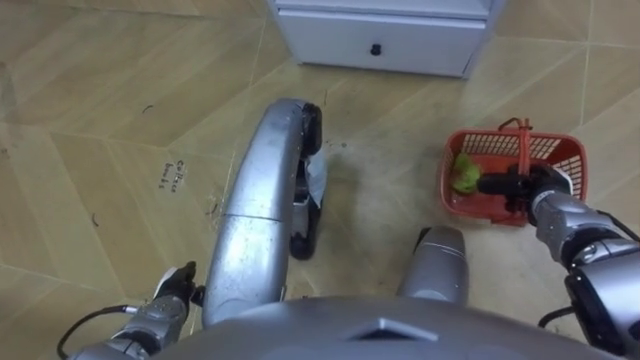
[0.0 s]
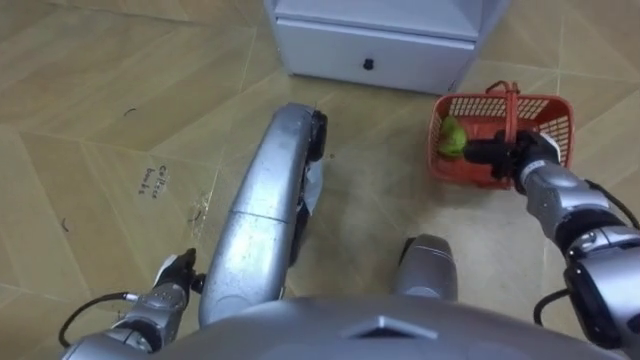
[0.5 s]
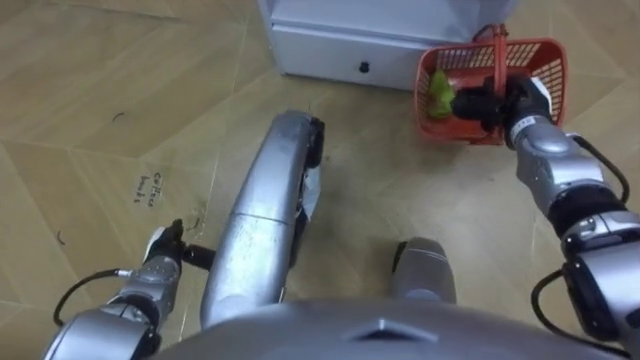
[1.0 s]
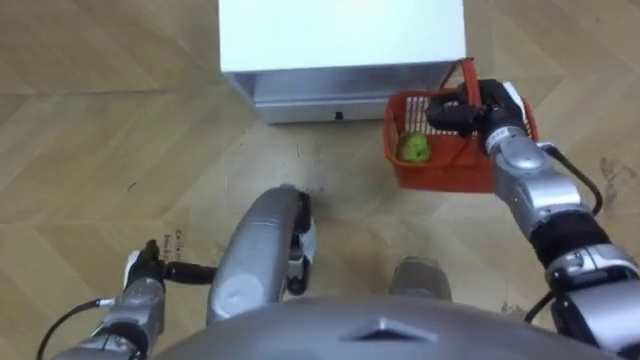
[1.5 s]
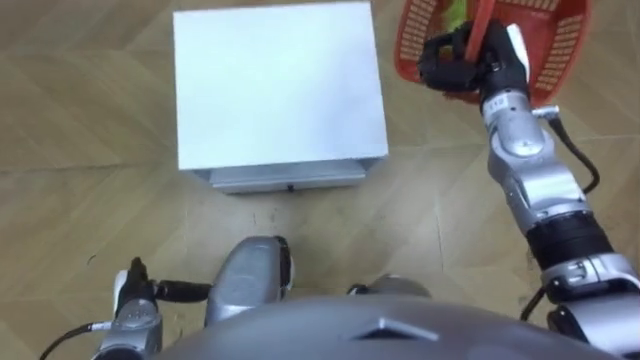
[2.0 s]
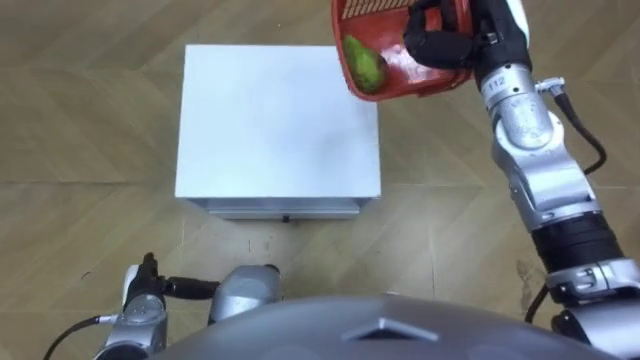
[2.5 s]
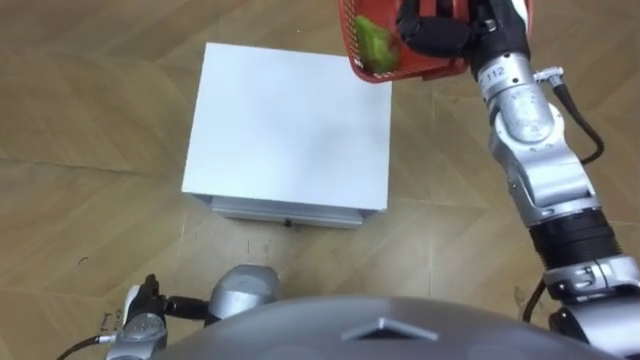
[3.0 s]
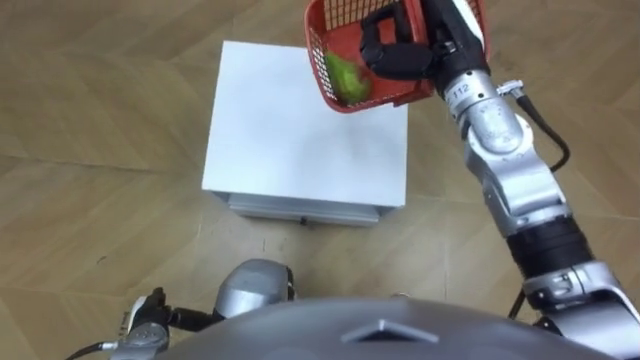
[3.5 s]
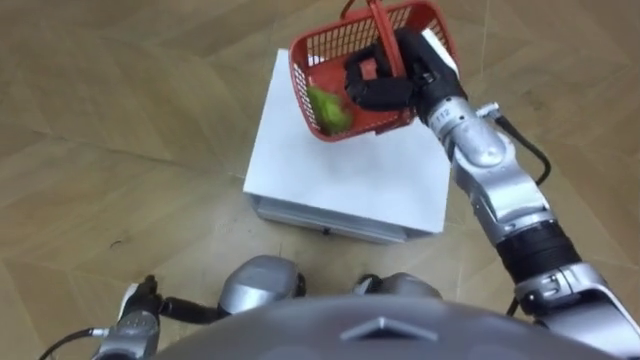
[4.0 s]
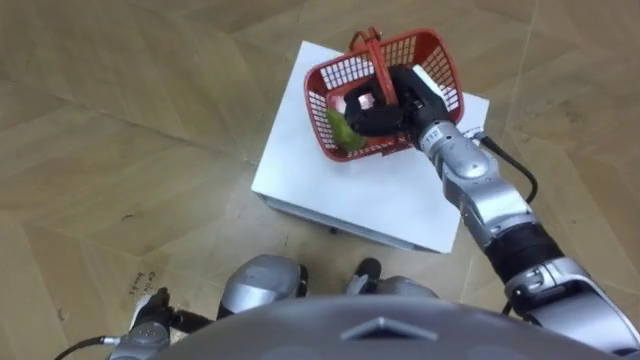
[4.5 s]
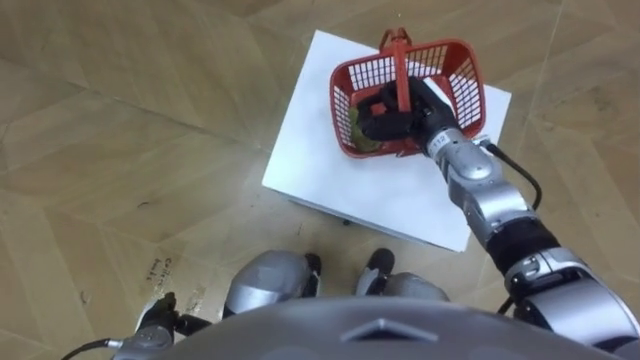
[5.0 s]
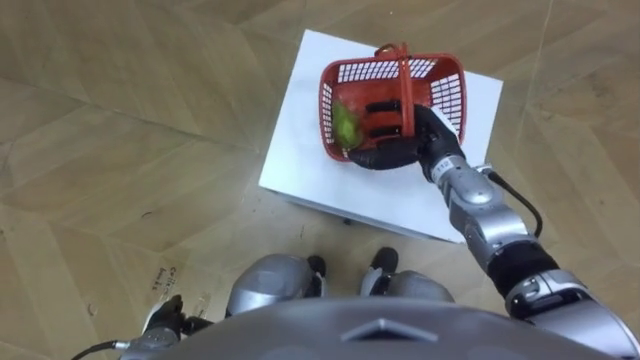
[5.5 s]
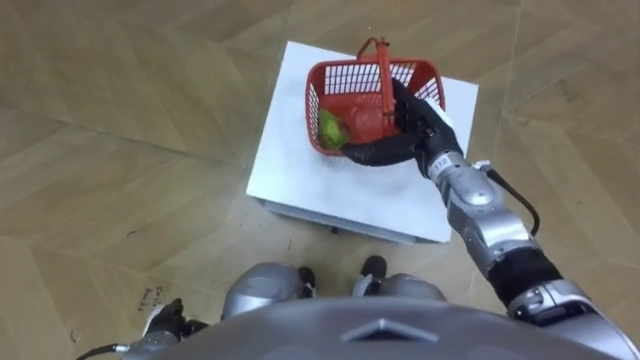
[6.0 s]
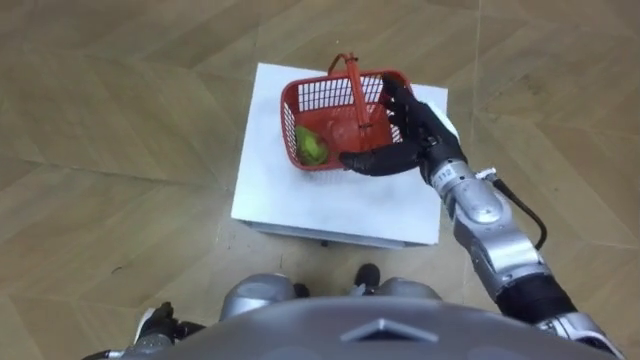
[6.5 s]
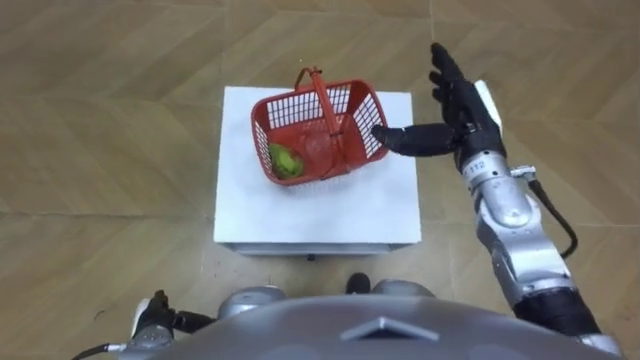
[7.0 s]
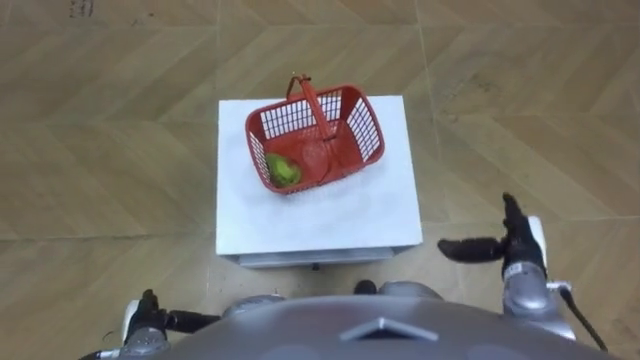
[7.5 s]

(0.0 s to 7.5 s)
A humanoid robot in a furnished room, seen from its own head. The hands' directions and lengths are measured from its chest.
Task of the whole recording: Pick up the fruit basket from the floor and place it on the cabinet.
0.0 s - 2.0 s: The robot's body swings approximately 15 degrees to its right. The right hand shifts about 20 cm upward, forward and to the left. The left hand goes approximately 5 cm to the left.
2.0 s - 4.0 s: The right hand shifts about 10 cm to the left.
4.0 s - 5.5 s: The right hand goes approximately 10 cm downward, and opens.
5.5 s - 7.5 s: The right hand shifts some 20 cm backward, to the right and downward.

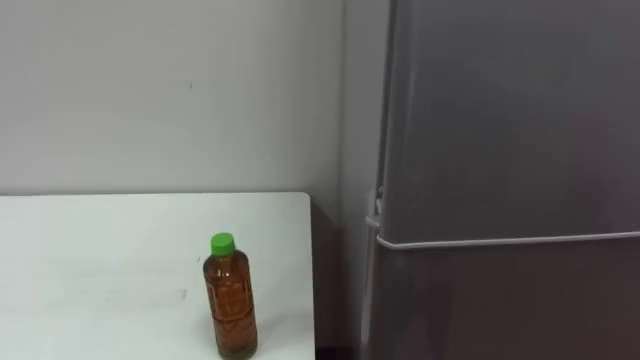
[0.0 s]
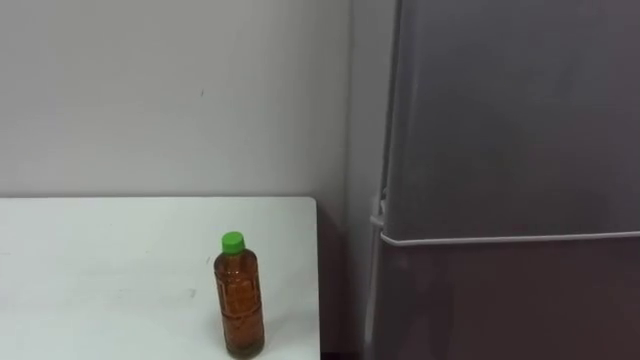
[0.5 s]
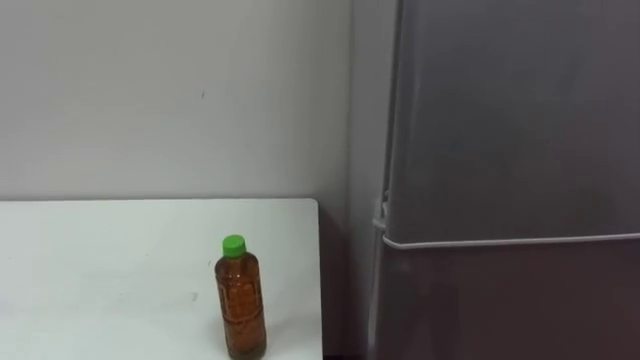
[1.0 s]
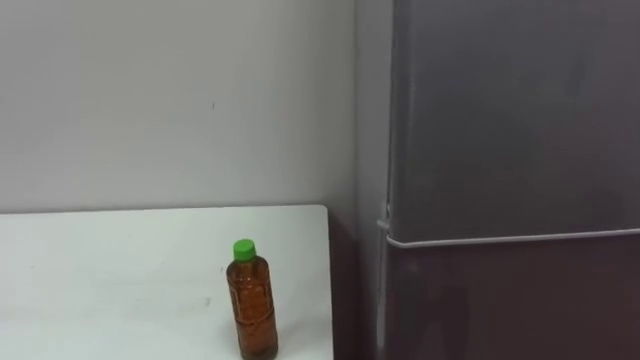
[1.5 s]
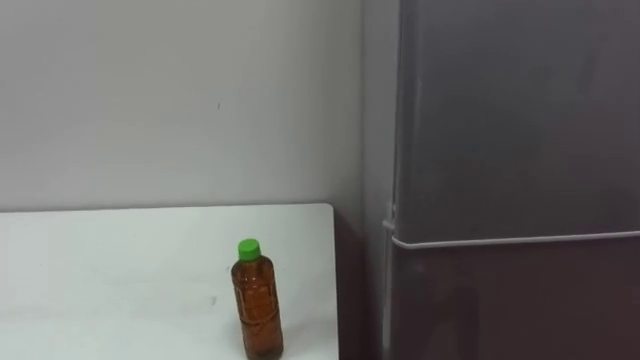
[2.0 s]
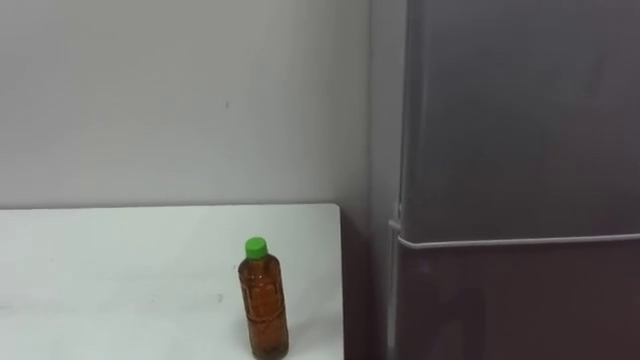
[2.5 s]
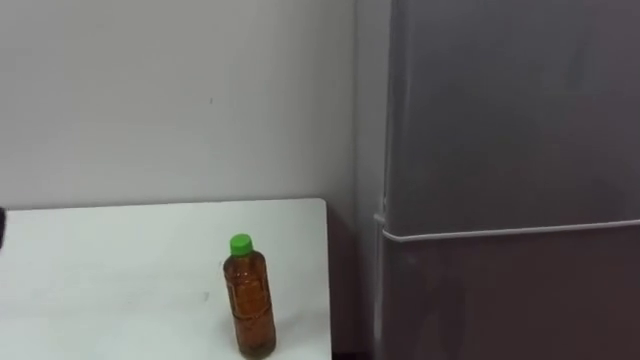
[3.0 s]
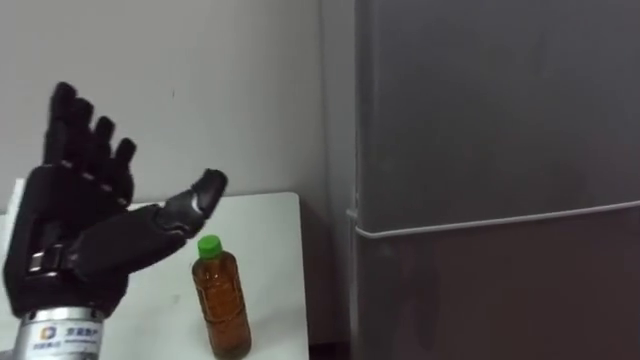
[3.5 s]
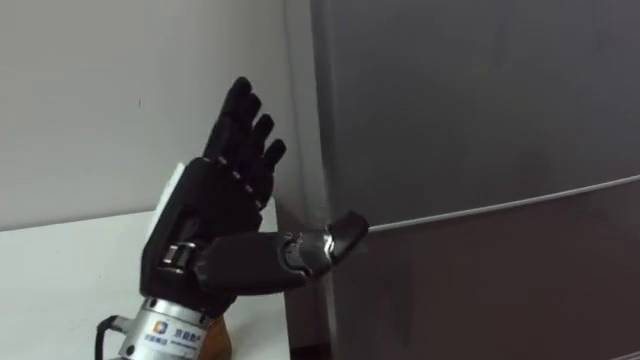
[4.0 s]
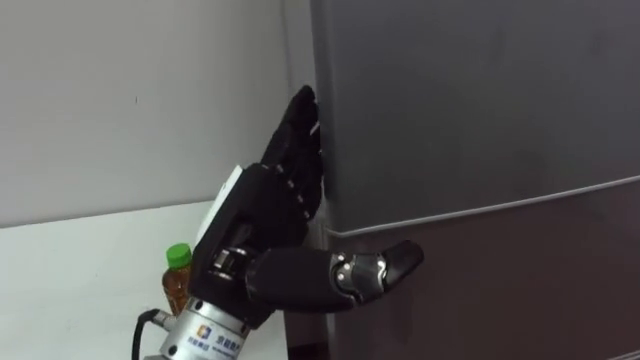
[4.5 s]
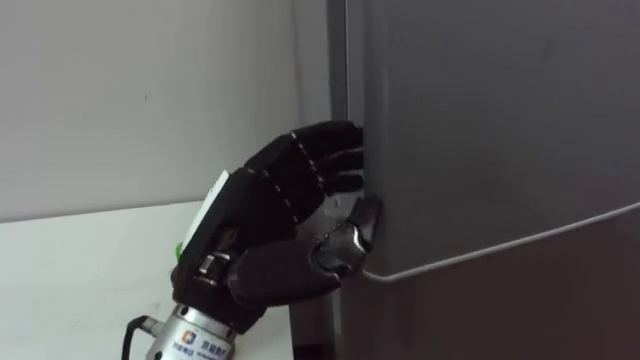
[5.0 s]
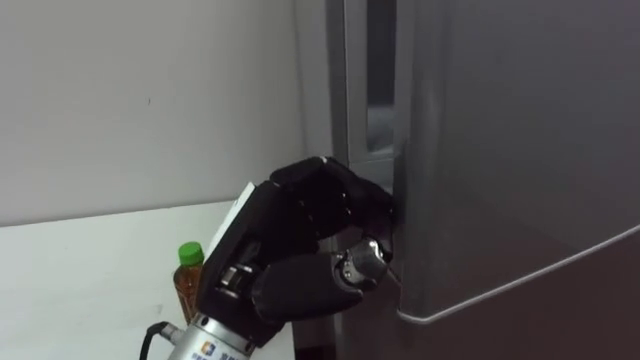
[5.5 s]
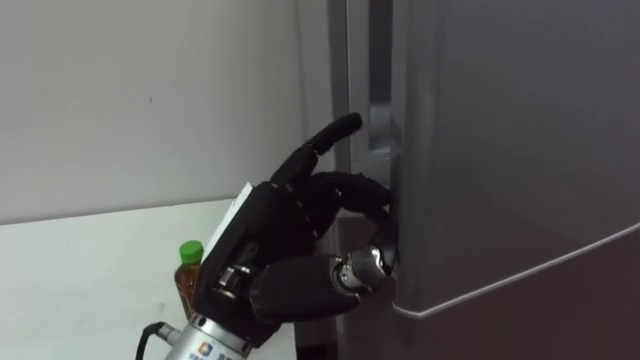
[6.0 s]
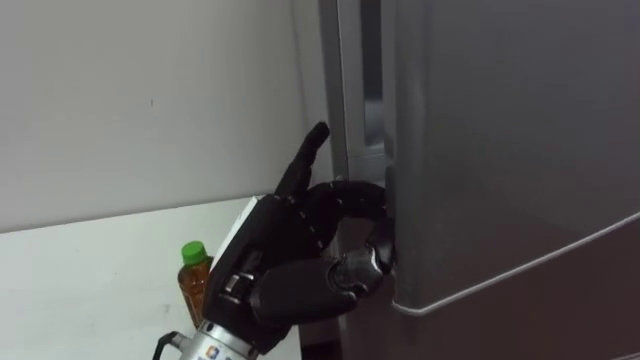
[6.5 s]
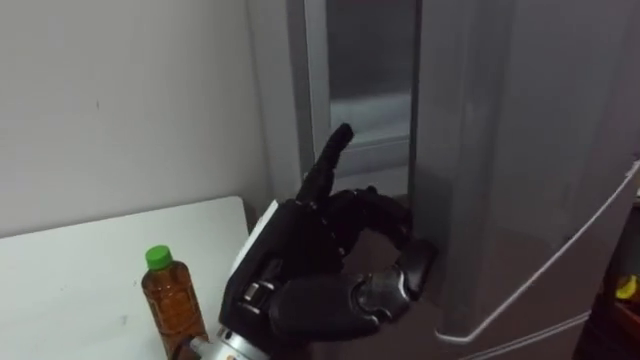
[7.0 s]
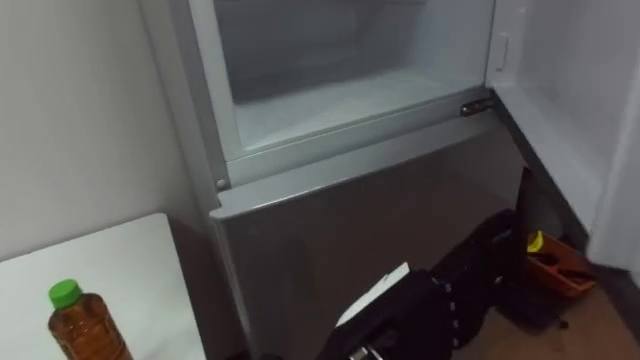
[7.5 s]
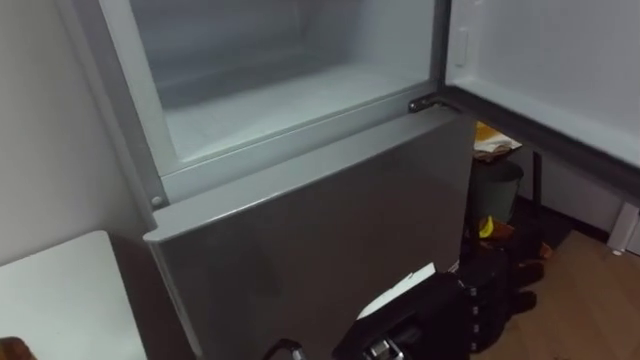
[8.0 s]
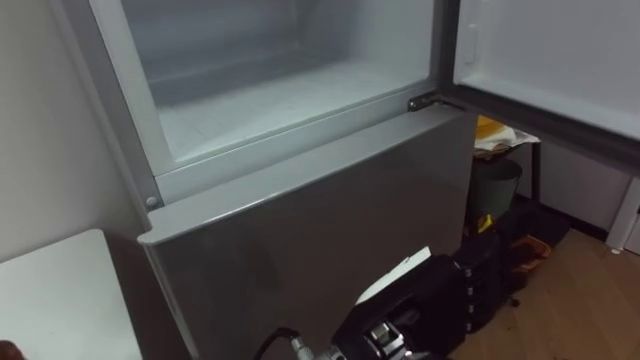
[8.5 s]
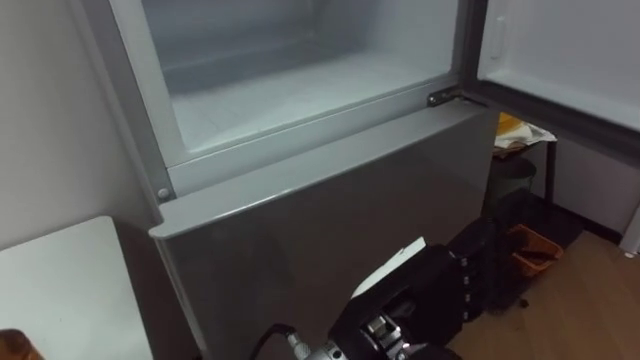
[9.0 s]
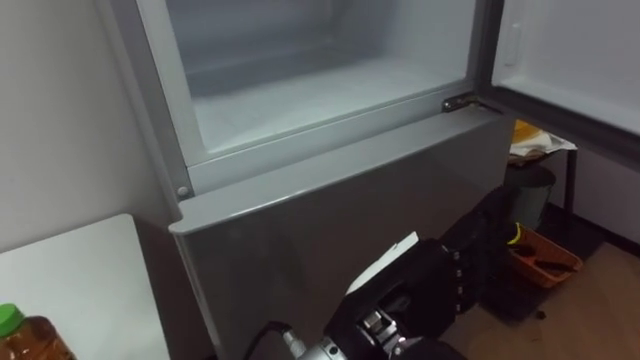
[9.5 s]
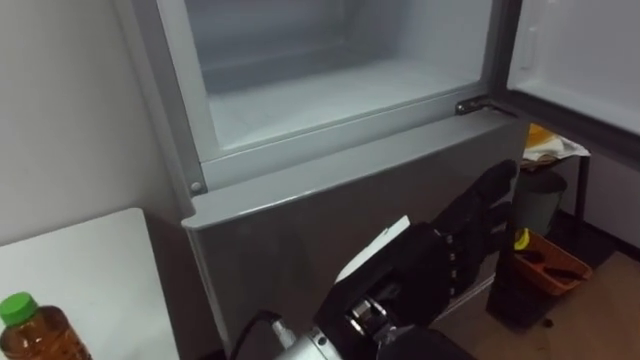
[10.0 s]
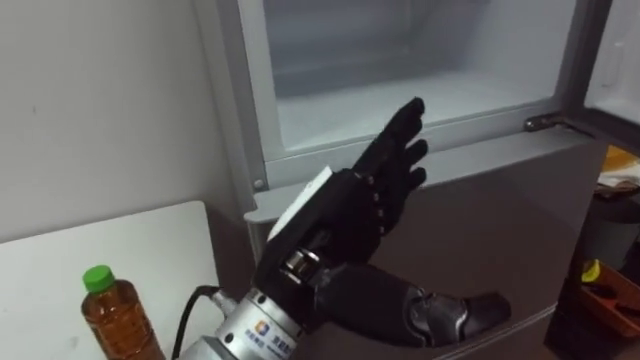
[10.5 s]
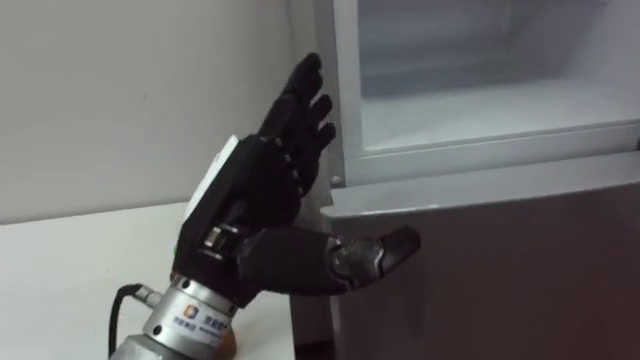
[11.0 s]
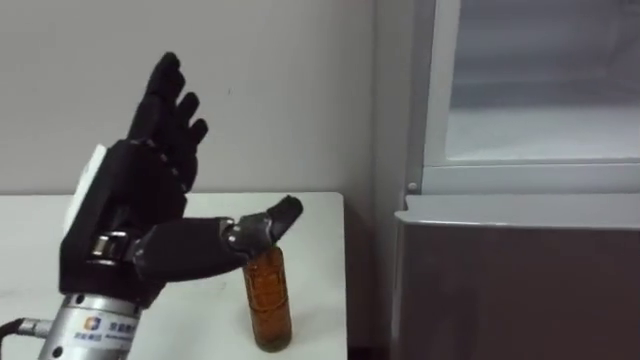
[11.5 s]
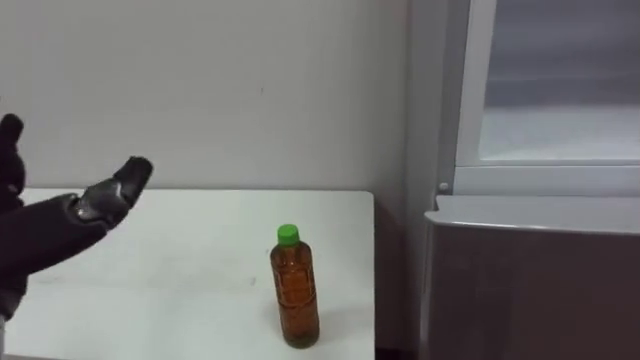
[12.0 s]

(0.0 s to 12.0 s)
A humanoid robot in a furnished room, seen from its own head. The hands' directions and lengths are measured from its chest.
Task of the whole recording: Open the upper refrigerator door, put the drink from the table into the refrigerator, and then close the refrigerator door.
4.0 s - 6.0 s: The left hand travels to the right by roughly 5 cm, and closes, then reopens.
6.0 s - 8.0 s: The left hand travels to the right by some 10 cm.
